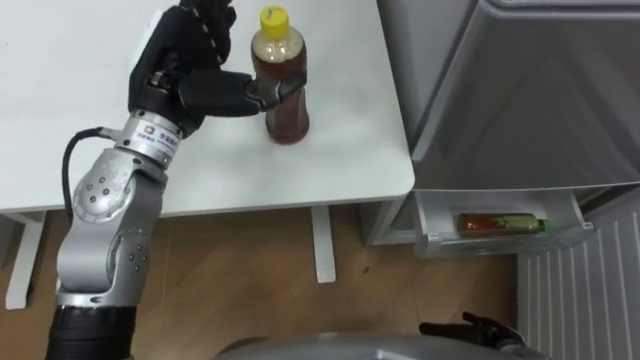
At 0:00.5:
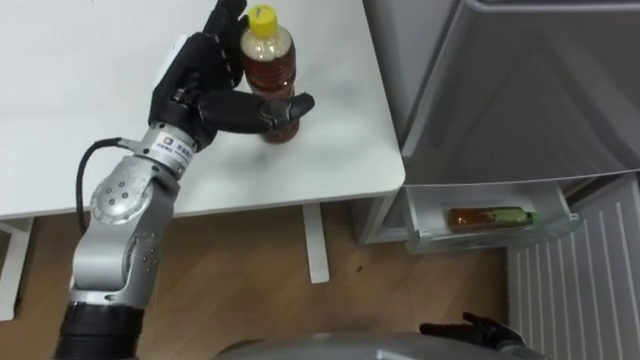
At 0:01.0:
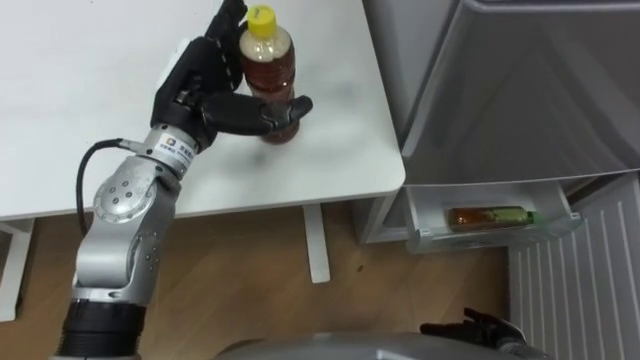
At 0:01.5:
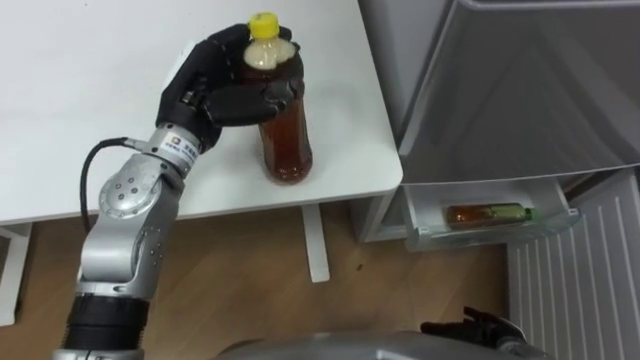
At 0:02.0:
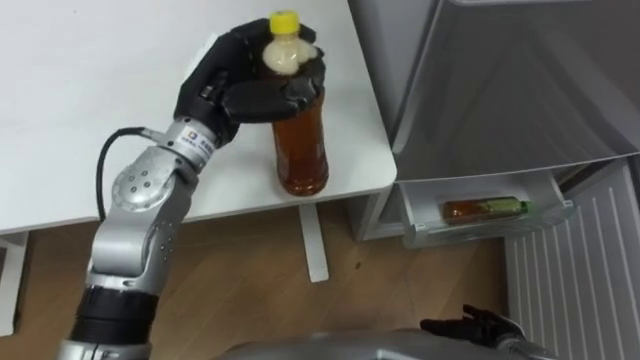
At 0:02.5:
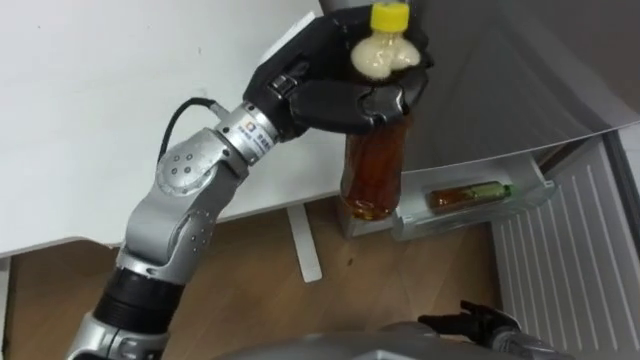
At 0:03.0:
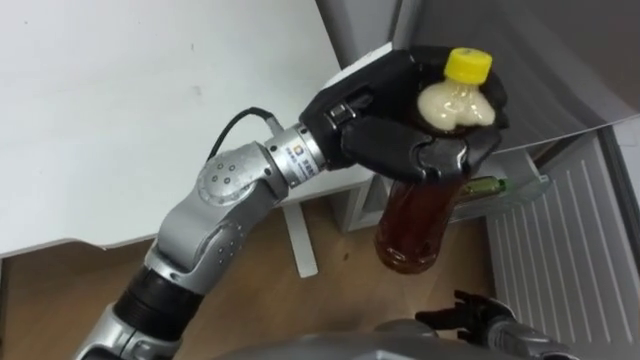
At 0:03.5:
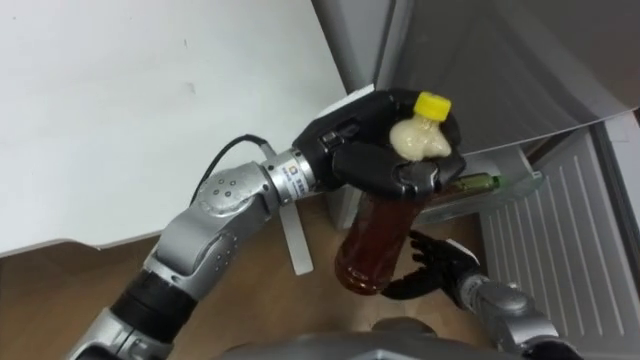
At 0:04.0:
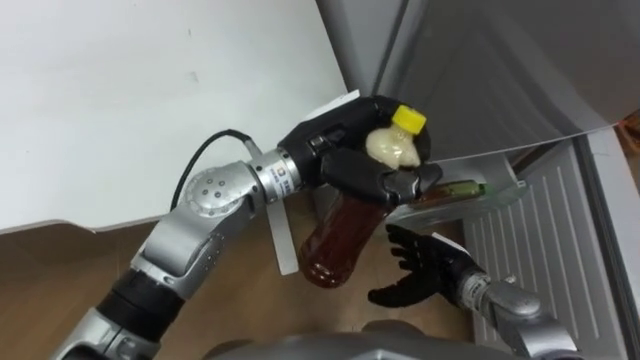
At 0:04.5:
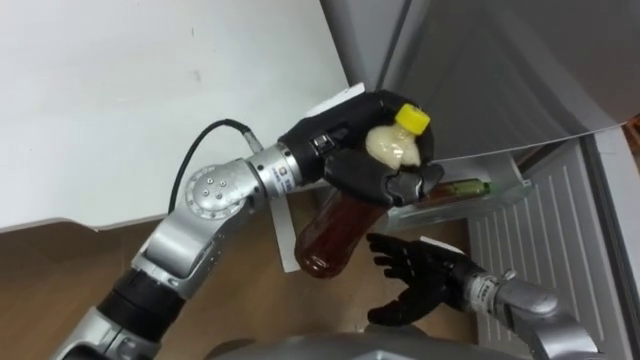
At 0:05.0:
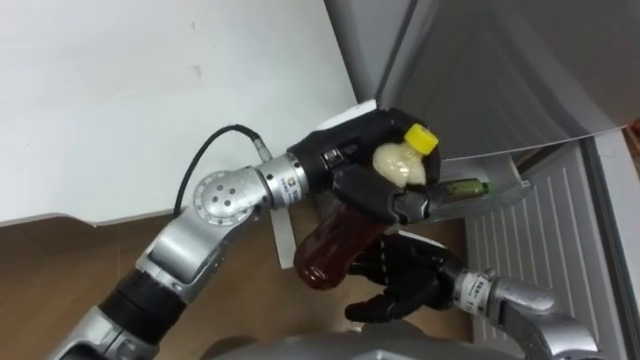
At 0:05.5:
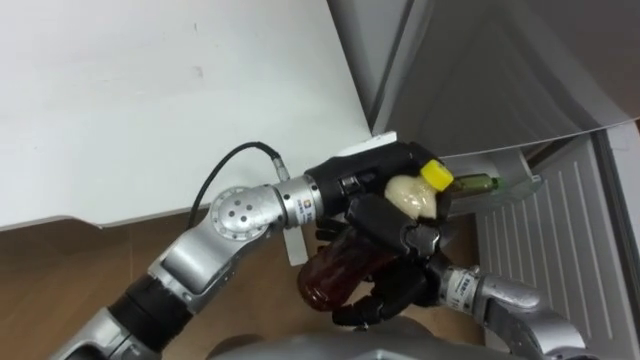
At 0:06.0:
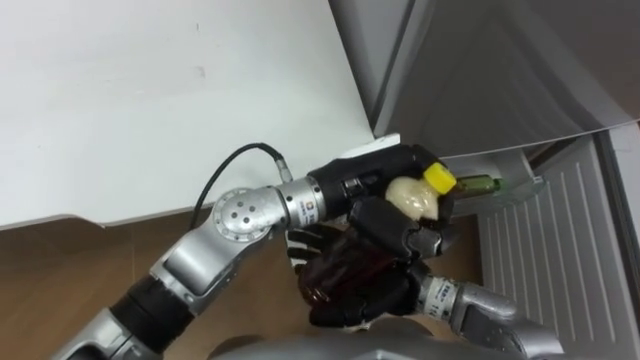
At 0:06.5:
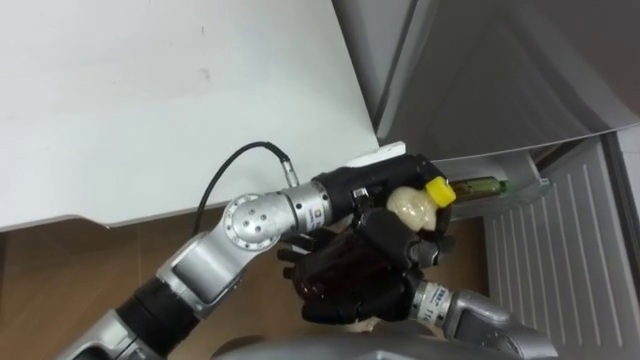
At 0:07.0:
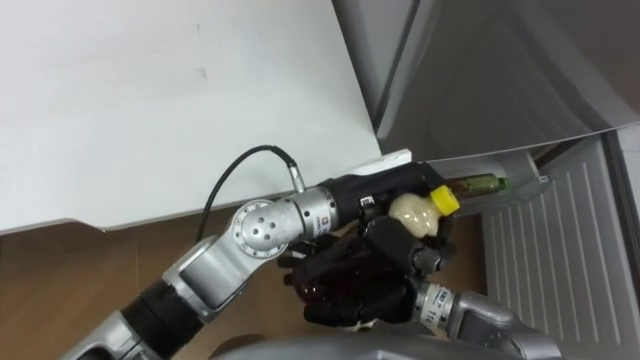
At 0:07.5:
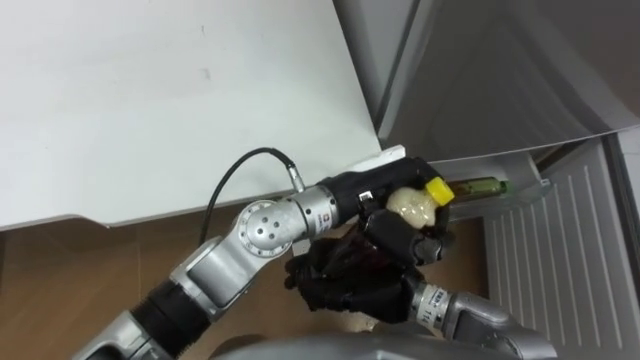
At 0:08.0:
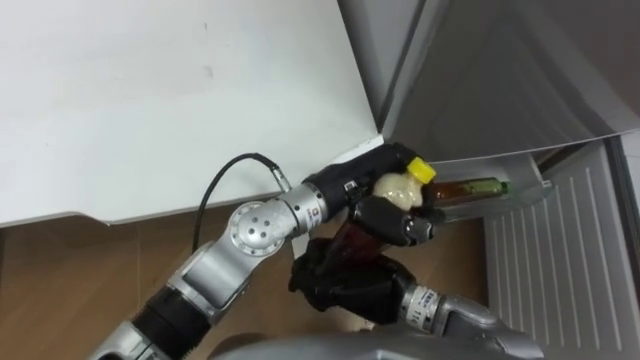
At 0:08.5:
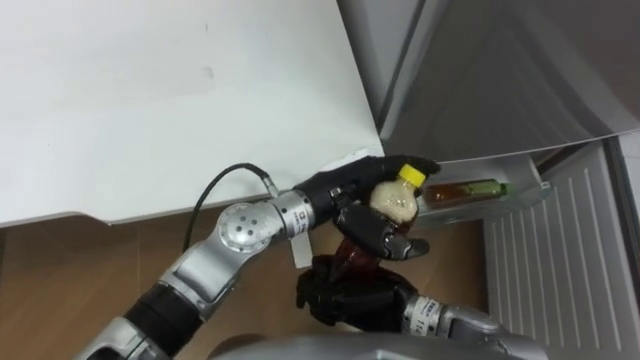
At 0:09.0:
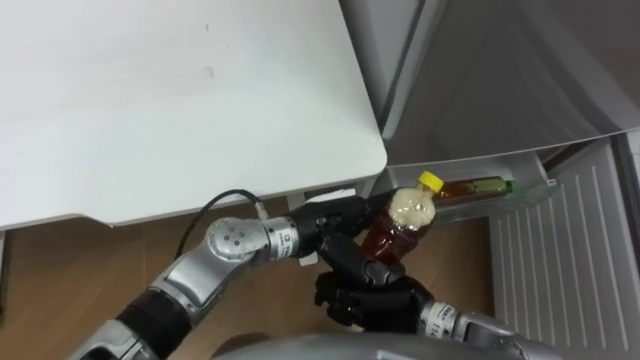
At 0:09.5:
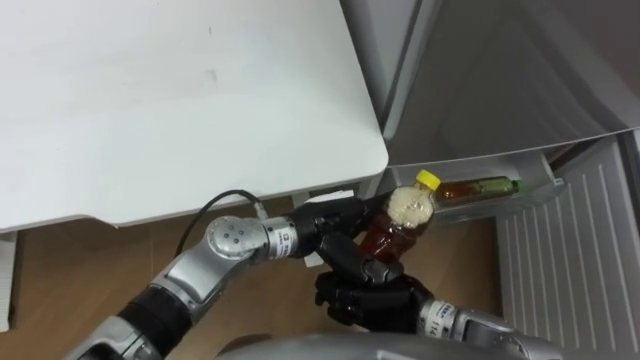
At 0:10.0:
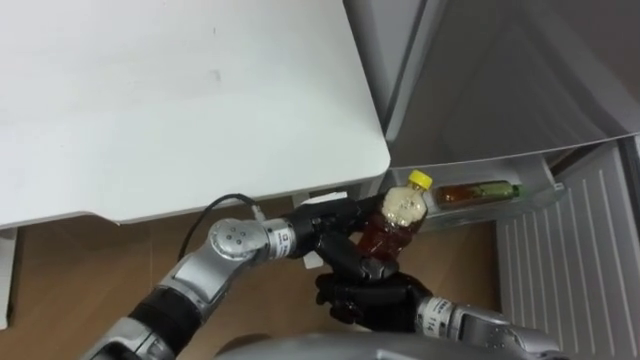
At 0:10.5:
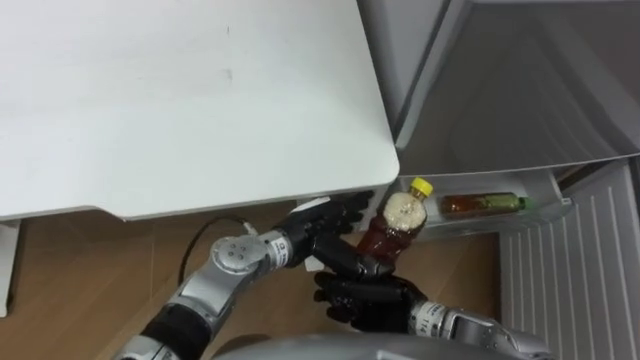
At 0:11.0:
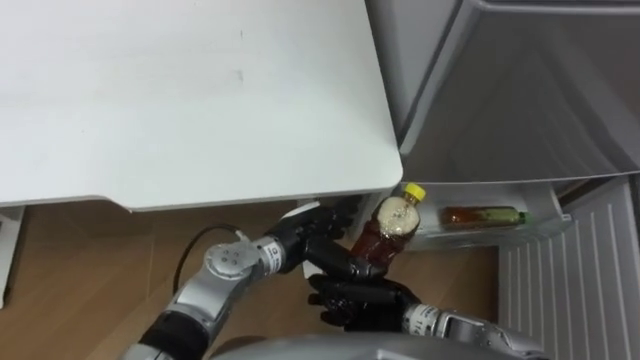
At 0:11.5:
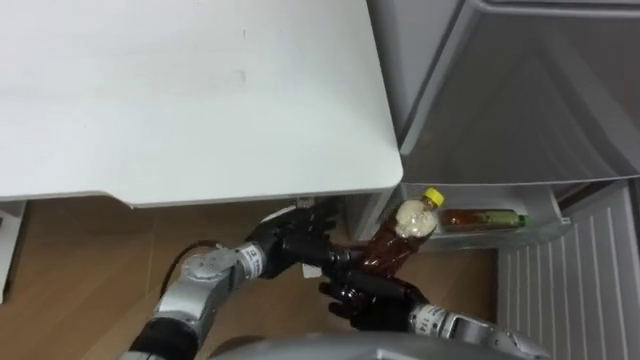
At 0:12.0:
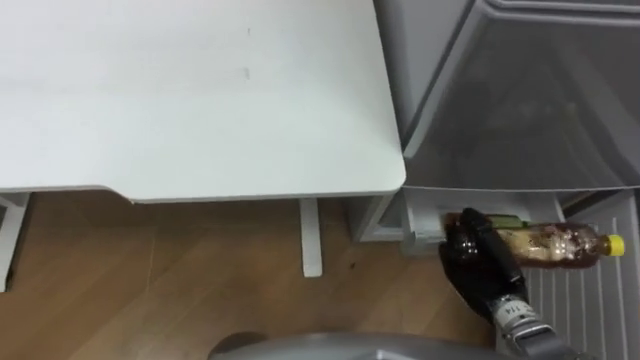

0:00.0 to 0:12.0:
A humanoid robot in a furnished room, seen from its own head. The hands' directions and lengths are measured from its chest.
Task of the whole recording: Place the drink on the table on the bottom shelf of the refrigerator, then close the drawer and the refrigerator door.
0:00.0 to 0:02.0: The left hand ends up roughly 5 cm from where it was, and closes its fingers.
0:02.0 to 0:04.0: The left hand heads to the right, covering approximately 15 cm, while the right hand heads forward, to the left and upward, covering some 15 cm.
0:04.0 to 0:06.0: The right hand goes roughly 10 cm to the left and upward. Meanwhile the left hand changes place by approximately 5 cm.
0:06.0 to 0:08.0: The right hand closes its fingers.
0:08.0 to 0:10.0: The left hand travels downward by about 10 cm, and opens up. Meanwhile the right hand shifts by about 5 cm.
0:10.0 to 0:12.0: The right hand heads to the right, covering some 15 cm.

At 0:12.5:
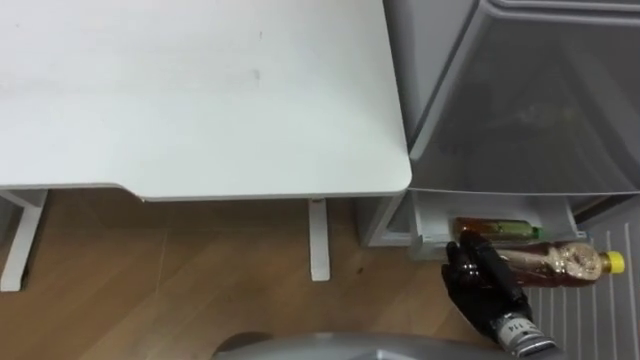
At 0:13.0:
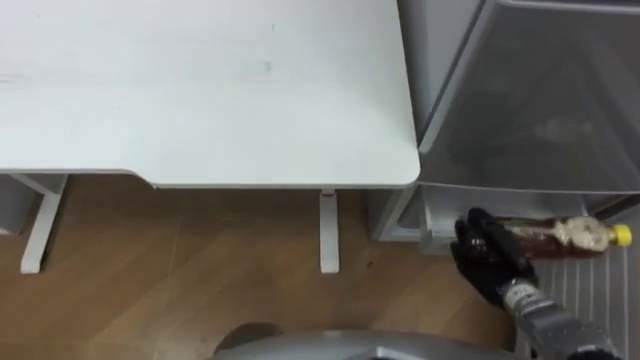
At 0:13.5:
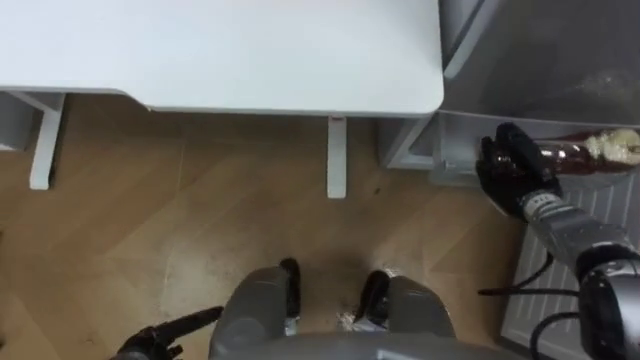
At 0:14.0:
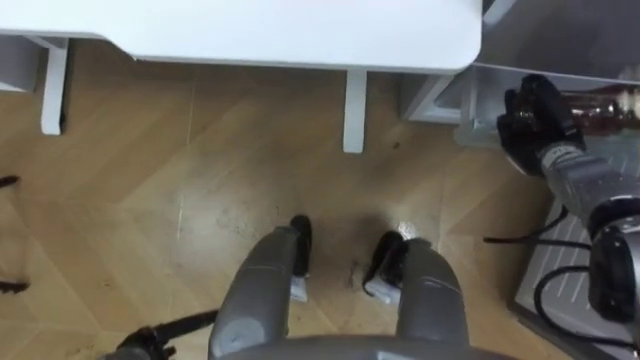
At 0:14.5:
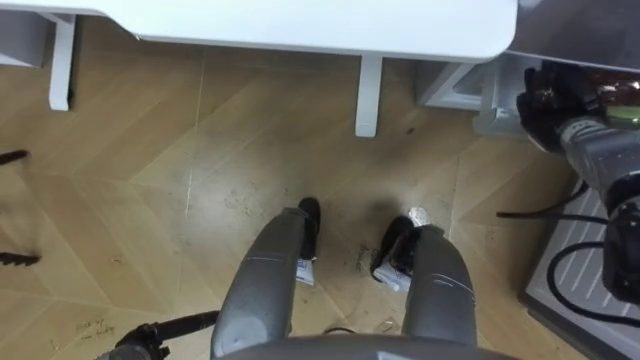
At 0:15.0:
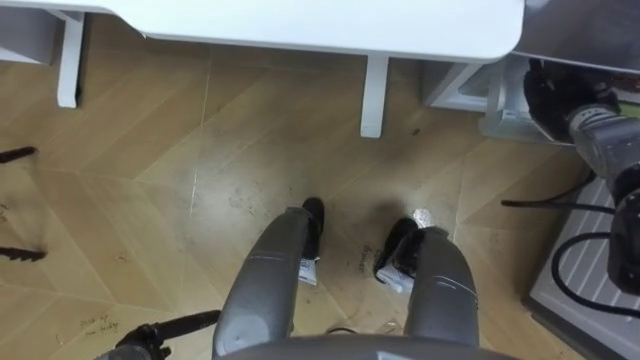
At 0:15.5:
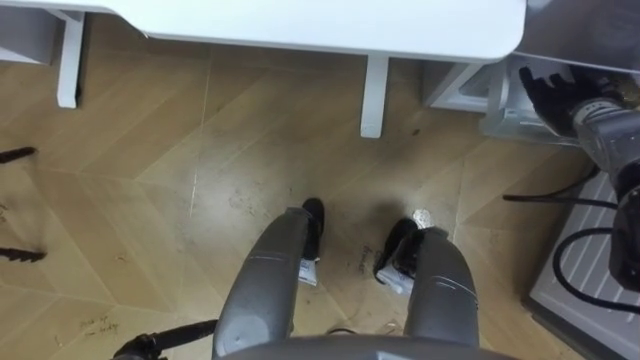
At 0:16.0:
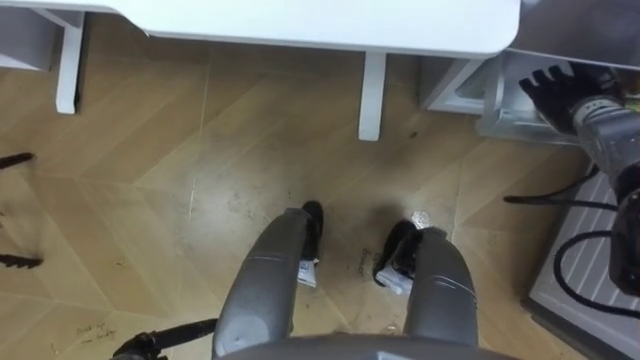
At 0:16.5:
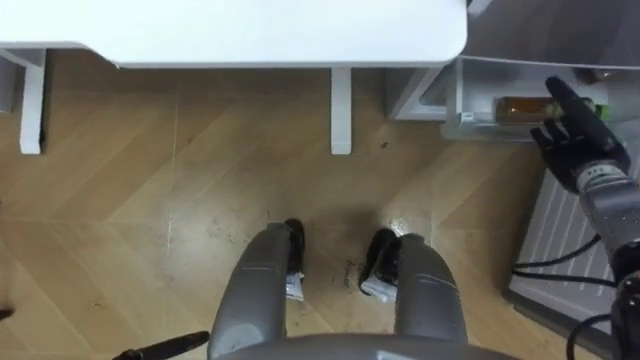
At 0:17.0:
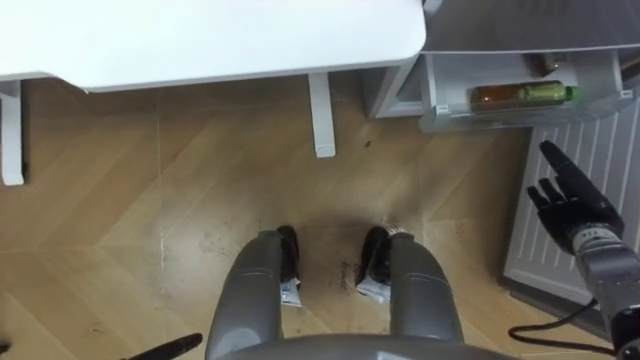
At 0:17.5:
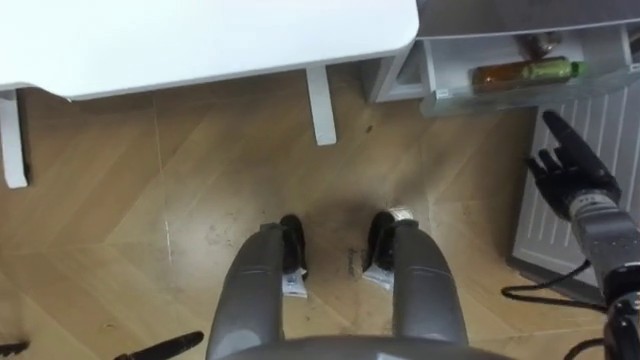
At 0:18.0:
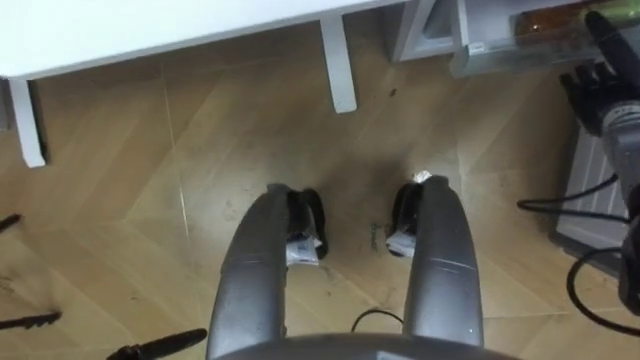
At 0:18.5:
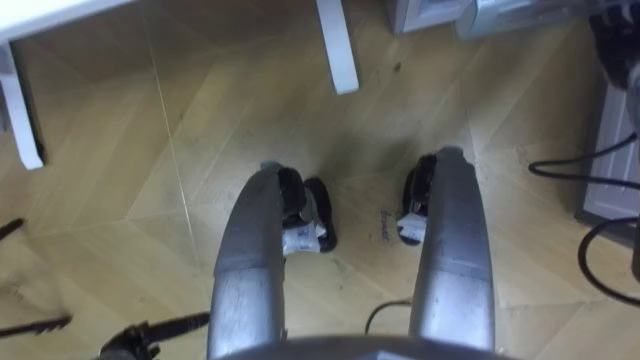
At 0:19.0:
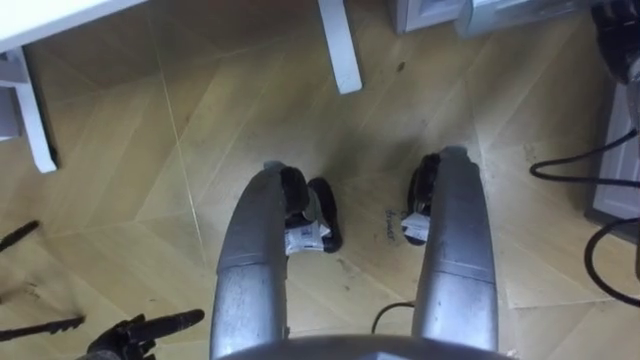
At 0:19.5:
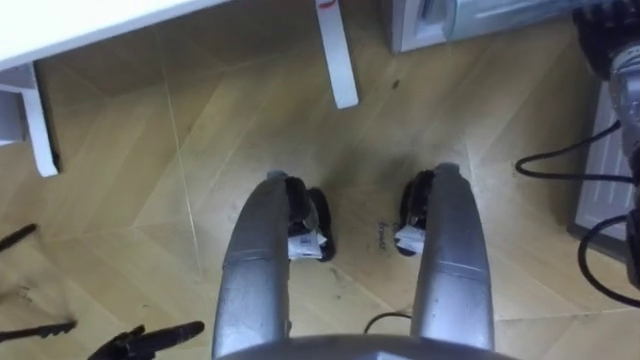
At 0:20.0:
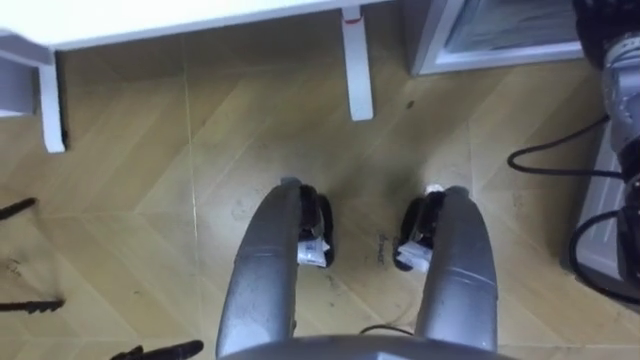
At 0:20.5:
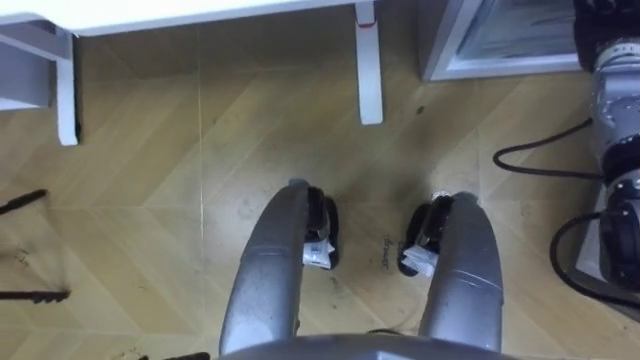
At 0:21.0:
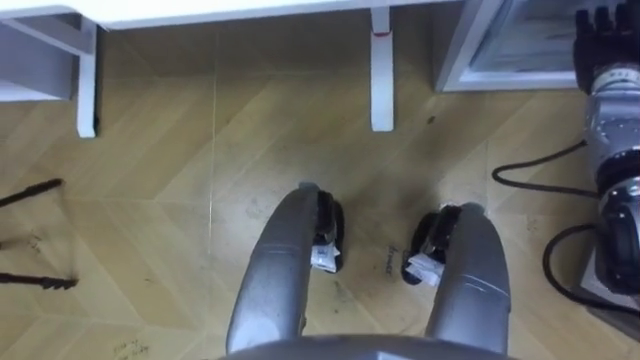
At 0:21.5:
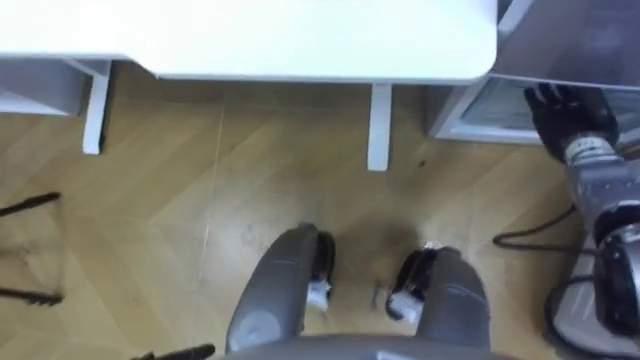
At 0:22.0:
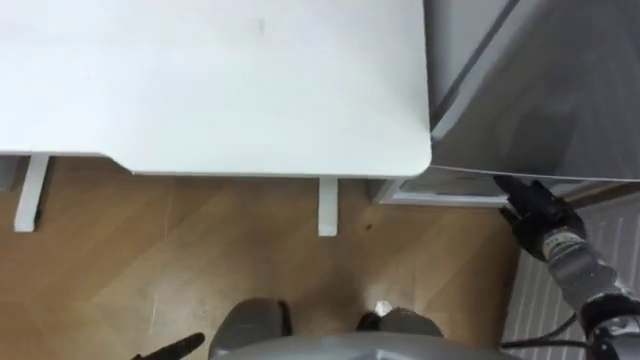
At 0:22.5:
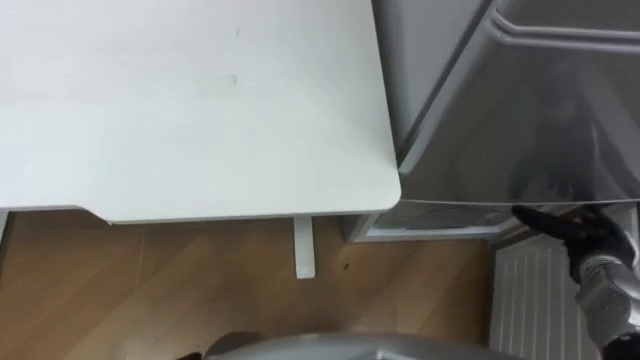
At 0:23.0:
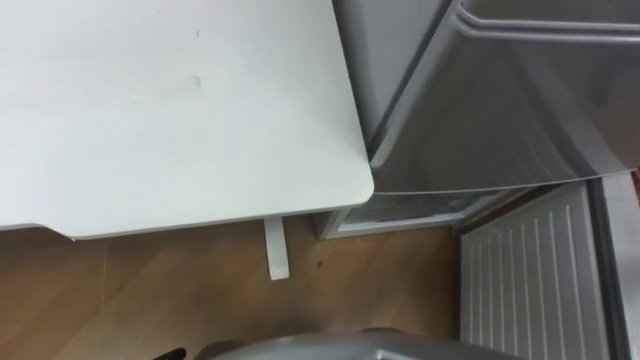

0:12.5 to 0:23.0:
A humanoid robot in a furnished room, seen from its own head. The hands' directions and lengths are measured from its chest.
Task of the whole recording: Place the drink on the table on the bottom shelf of the refrigerator, then close the drawer and the refrigerator door.
0:12.5 to 0:14.5: The right hand travels forward and upward by some 25 cm.
0:14.5 to 0:16.5: The right hand opens up.
